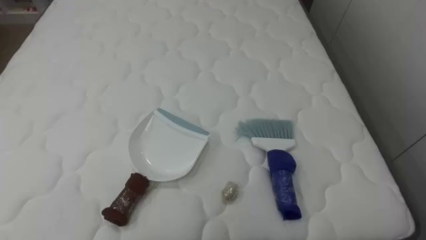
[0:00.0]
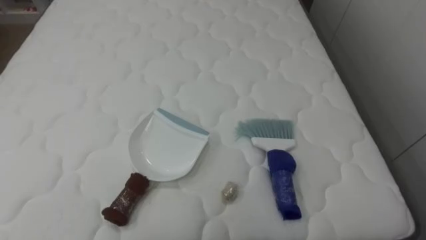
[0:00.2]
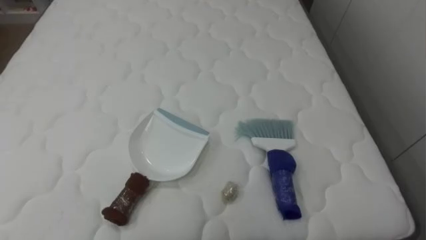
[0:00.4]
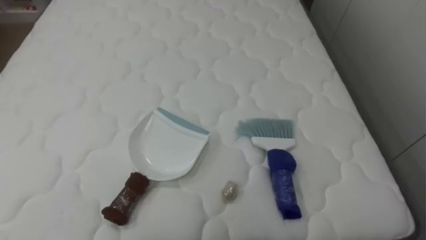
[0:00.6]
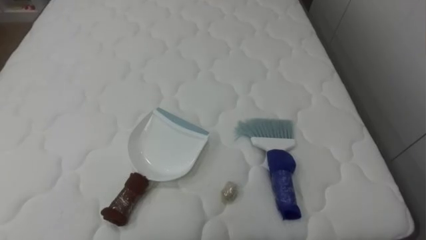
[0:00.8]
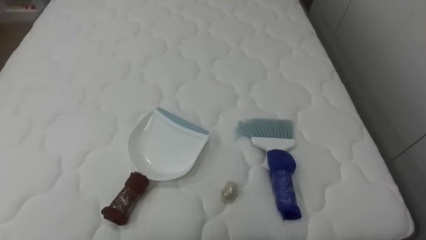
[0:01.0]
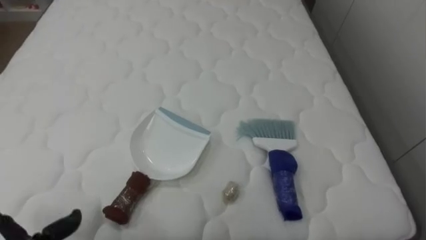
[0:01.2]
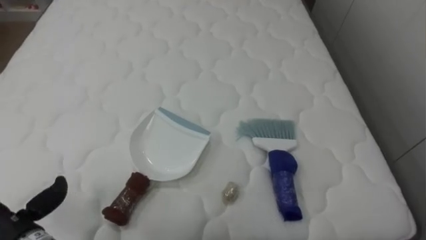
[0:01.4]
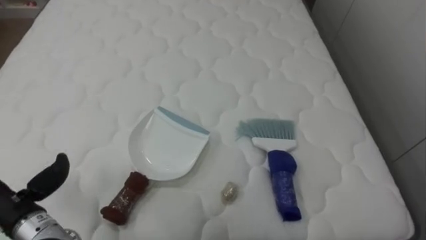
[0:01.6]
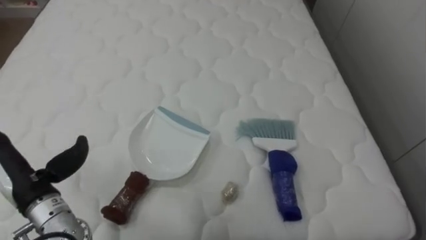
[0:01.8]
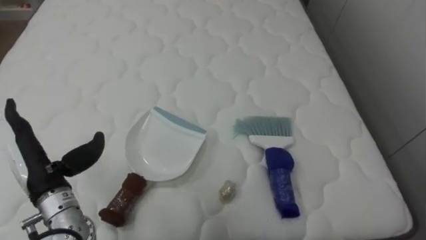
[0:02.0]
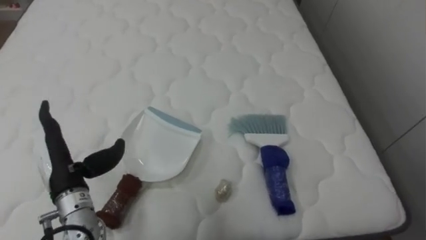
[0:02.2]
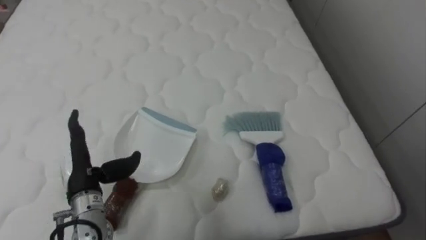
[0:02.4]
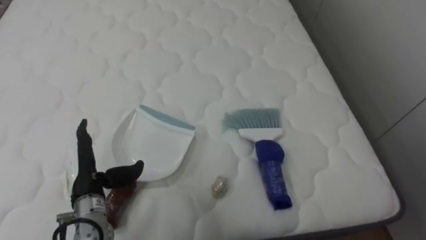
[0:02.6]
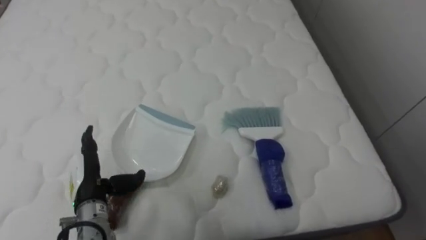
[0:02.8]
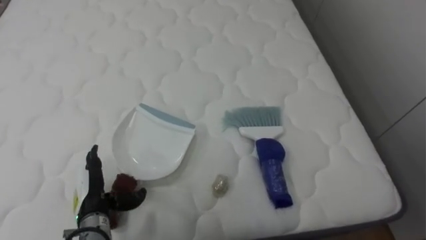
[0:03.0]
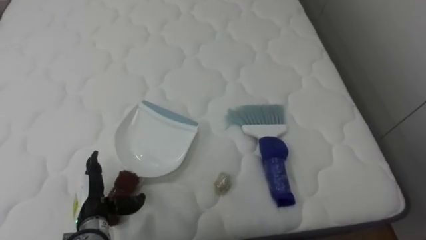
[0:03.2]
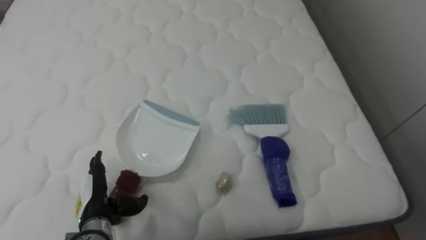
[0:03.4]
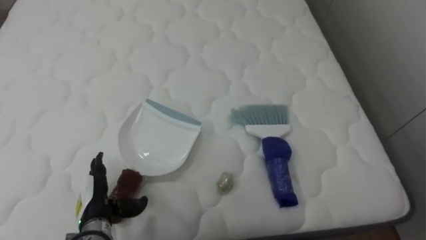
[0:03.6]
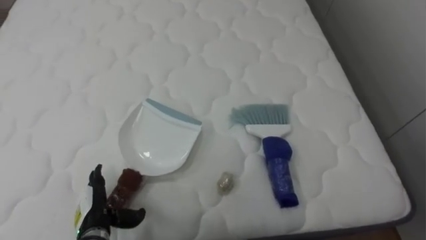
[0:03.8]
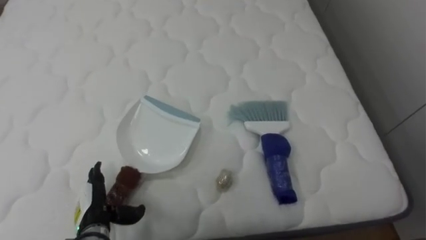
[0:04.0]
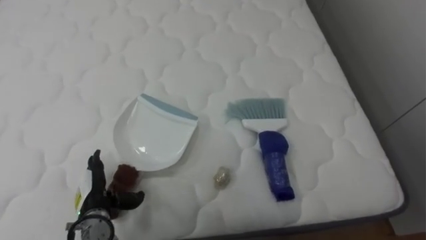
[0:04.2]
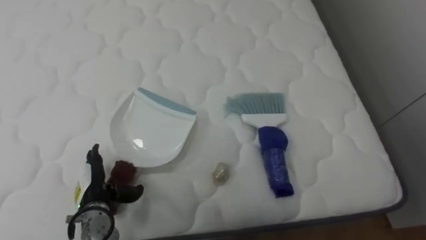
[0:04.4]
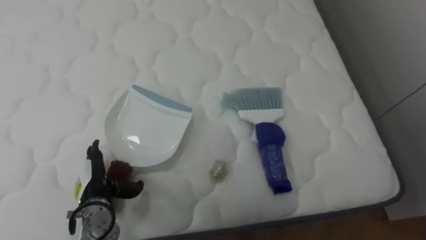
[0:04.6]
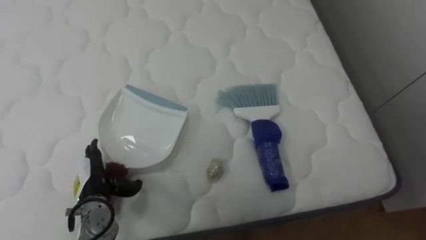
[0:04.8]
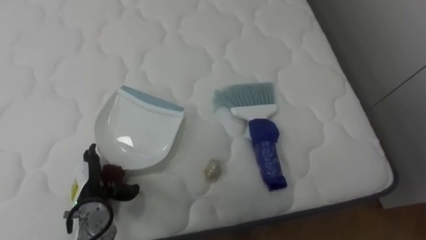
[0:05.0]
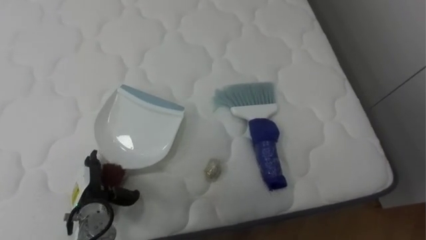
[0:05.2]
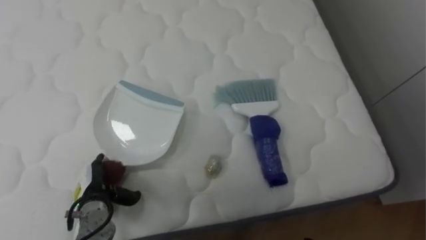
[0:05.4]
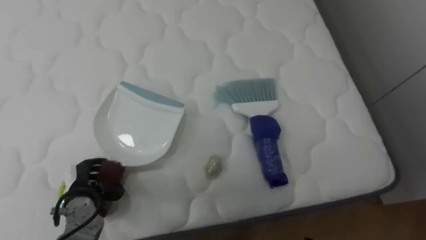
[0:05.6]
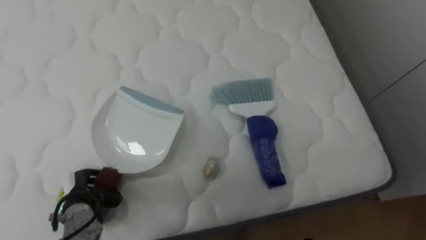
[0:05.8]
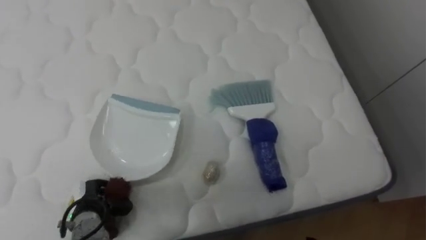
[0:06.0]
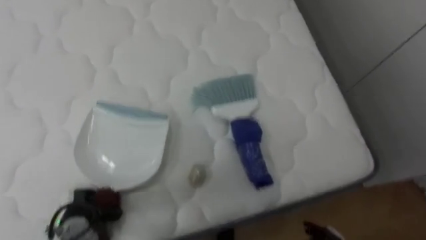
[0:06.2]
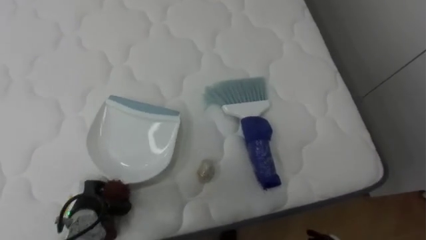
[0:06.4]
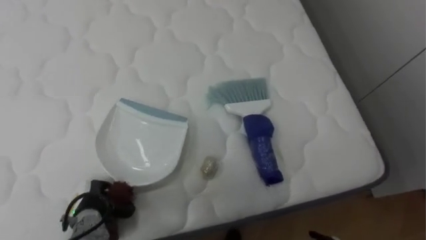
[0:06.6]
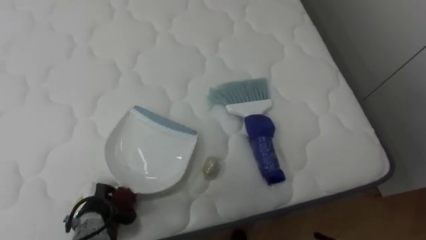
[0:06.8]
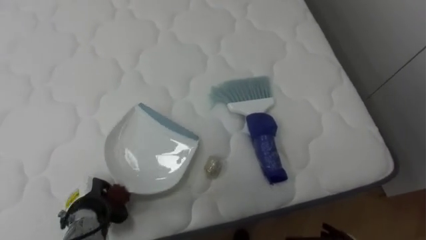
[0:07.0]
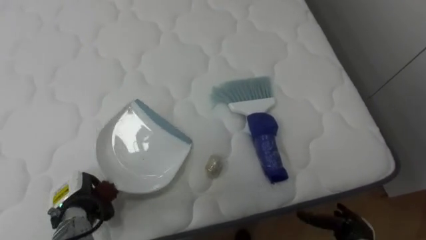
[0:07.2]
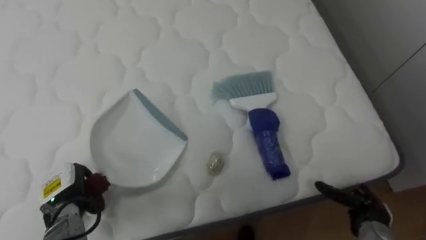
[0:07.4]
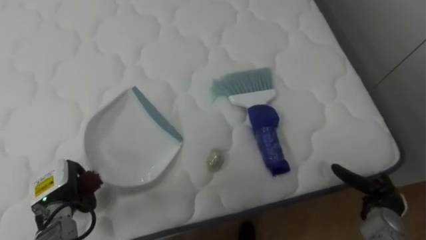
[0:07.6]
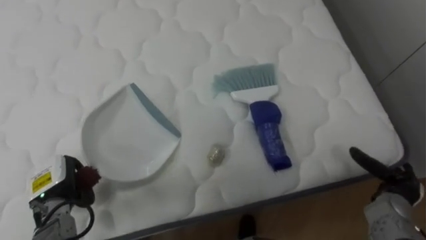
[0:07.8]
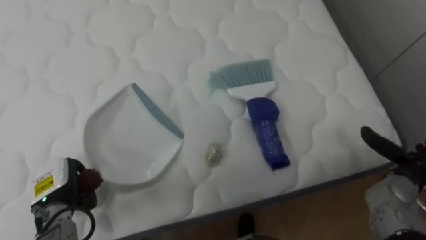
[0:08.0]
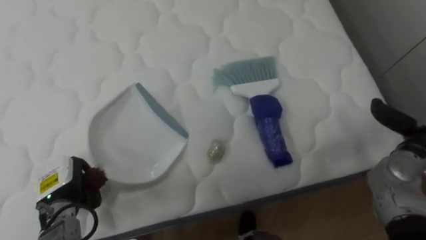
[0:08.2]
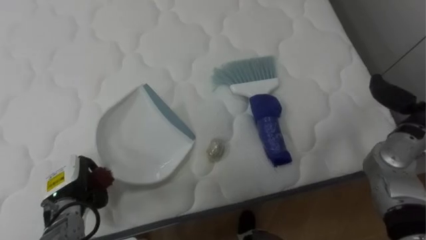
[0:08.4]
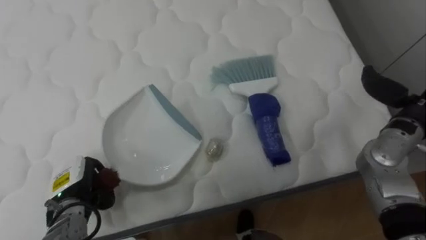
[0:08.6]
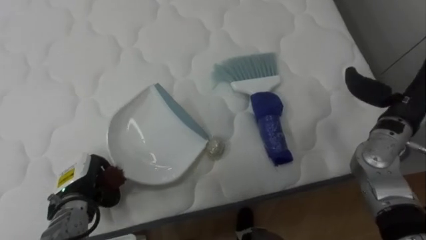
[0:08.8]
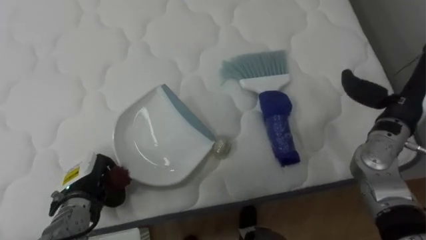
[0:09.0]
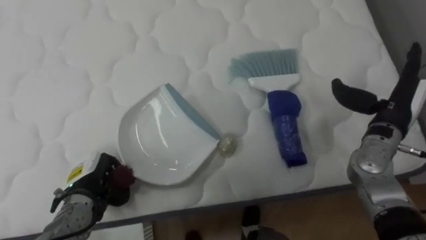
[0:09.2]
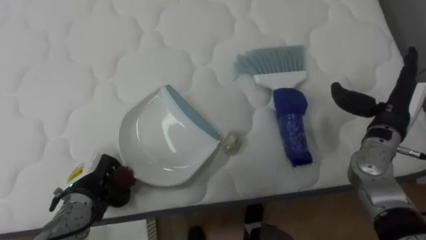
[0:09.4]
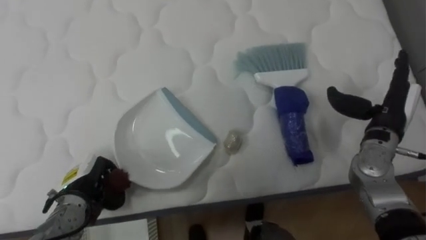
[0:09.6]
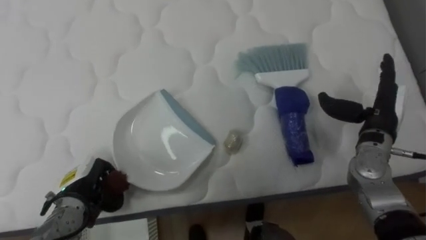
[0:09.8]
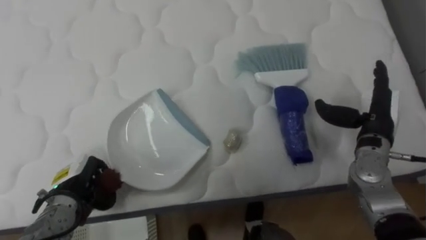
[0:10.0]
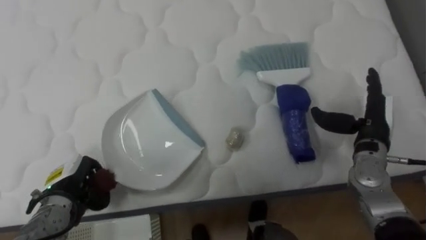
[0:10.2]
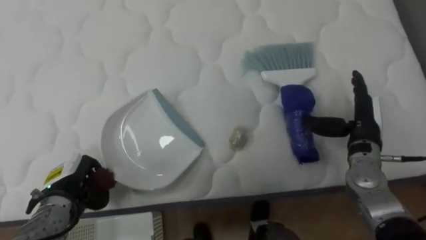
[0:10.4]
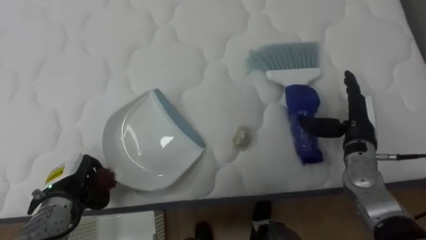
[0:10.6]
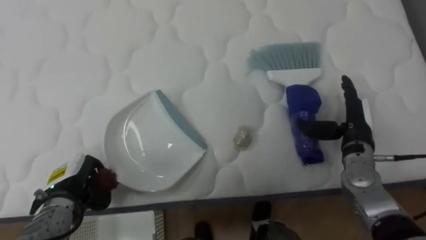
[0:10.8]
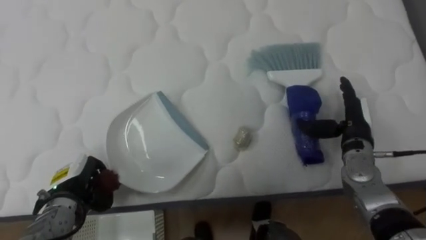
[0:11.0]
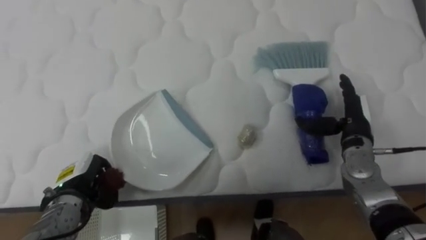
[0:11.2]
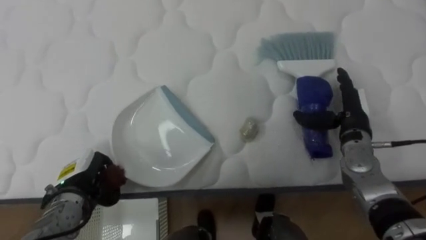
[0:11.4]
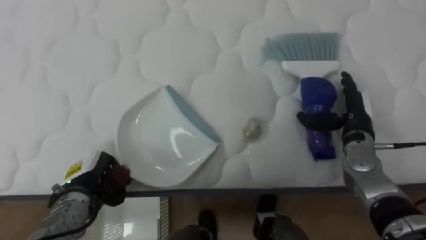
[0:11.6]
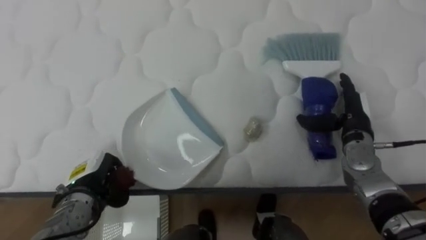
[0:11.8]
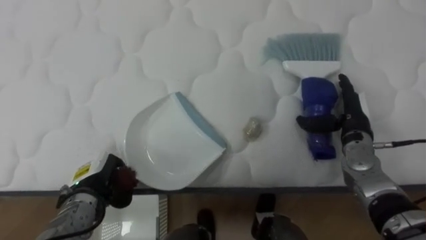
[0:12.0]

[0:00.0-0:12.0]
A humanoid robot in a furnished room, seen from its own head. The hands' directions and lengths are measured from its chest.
Task of the whole recording: Pick up the brush on your right and the dustpan on your left. Use the brush to sweep the crumpled paper on the bed into the dustpan, then turn left and empty it into the basket.
0:01.6 to 0:03.0: The left hand moves to the right and downward, some 15 cm.
0:04.4 to 0:06.0: The left hand closes.
0:06.0 to 0:07.6: The left hand is displaced upward by roughly 5 cm.
0:07.6 to 0:09.0: The right hand heads upward and forward, covering approximately 25 cm.
0:09.0 to 0:10.4: The right hand moves downward, approximately 5 cm.
0:10.4 to 0:12.0: The left hand ends up approximately 5 cm from where it was.

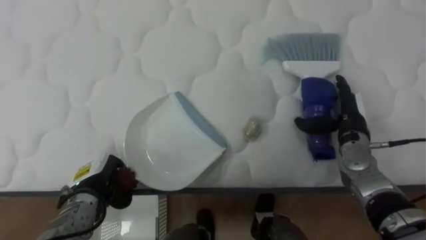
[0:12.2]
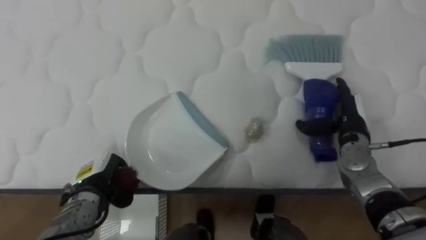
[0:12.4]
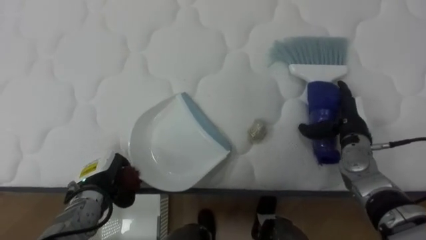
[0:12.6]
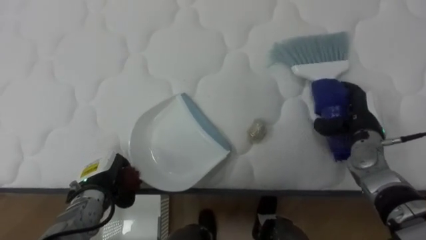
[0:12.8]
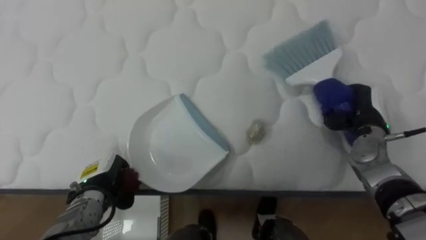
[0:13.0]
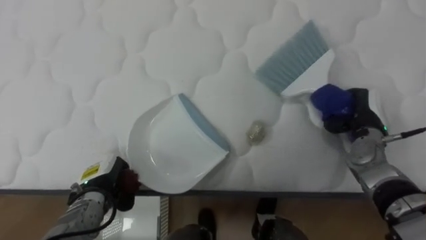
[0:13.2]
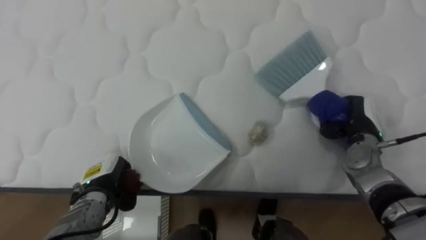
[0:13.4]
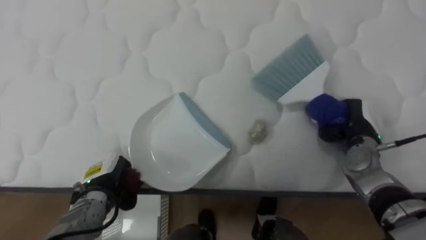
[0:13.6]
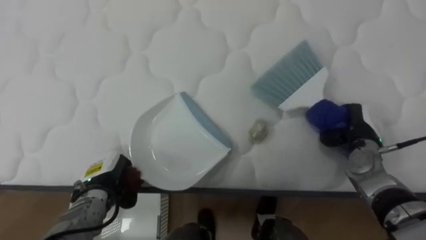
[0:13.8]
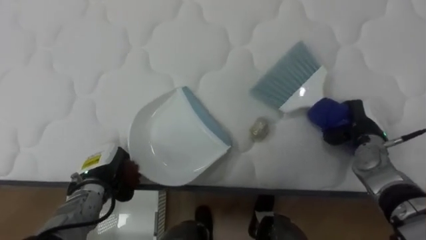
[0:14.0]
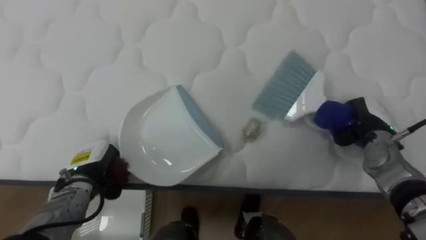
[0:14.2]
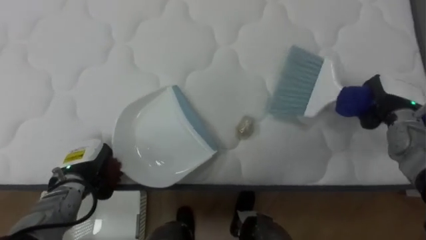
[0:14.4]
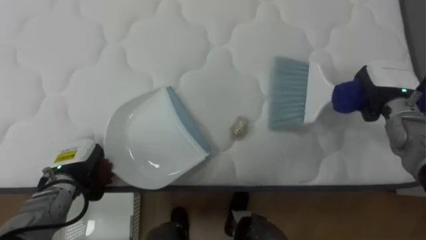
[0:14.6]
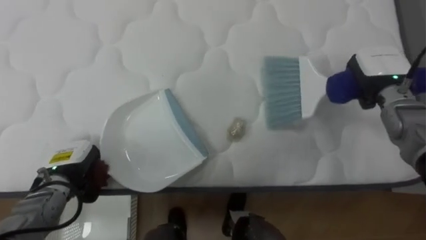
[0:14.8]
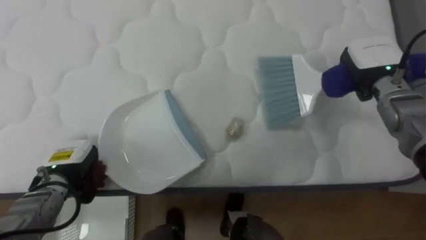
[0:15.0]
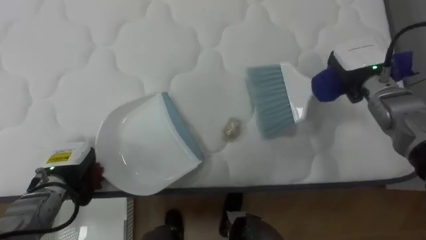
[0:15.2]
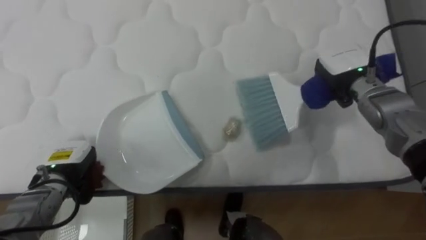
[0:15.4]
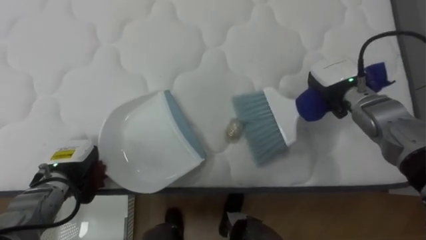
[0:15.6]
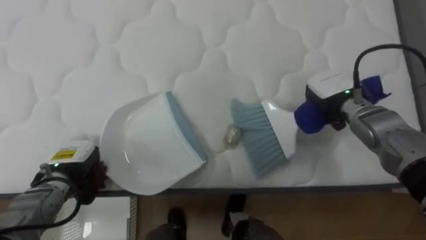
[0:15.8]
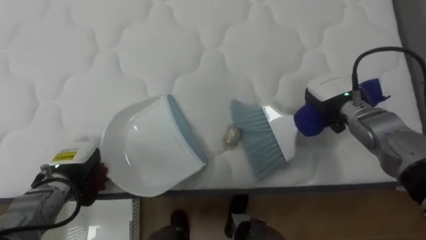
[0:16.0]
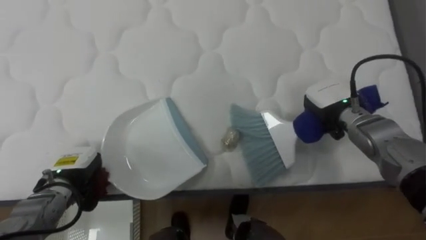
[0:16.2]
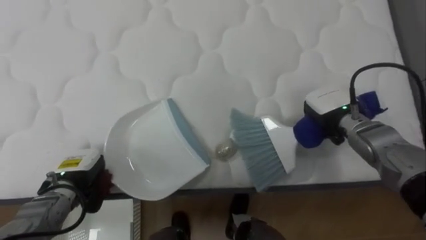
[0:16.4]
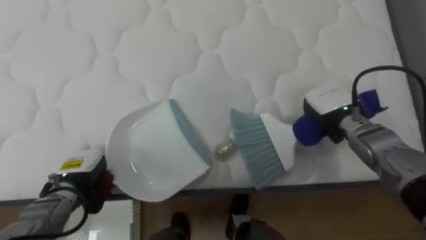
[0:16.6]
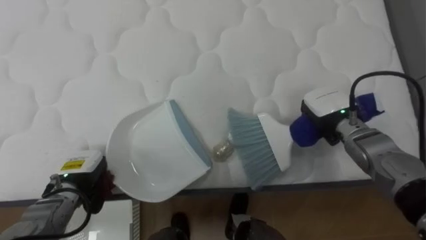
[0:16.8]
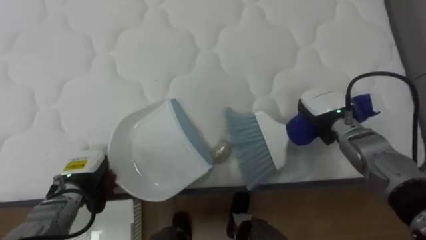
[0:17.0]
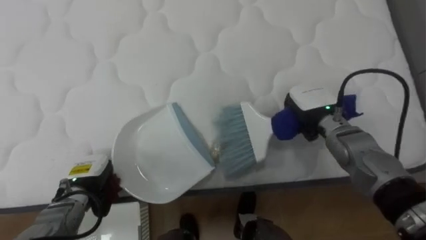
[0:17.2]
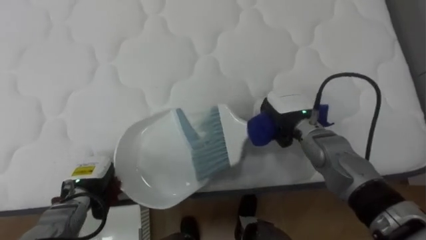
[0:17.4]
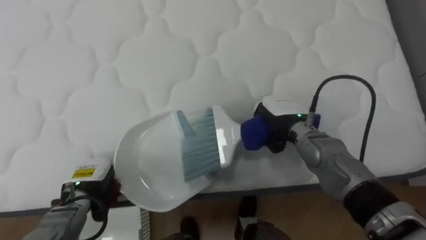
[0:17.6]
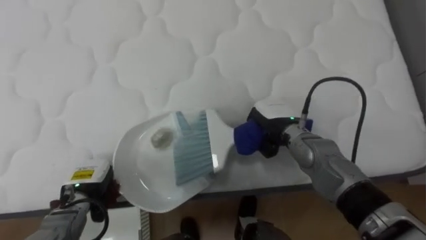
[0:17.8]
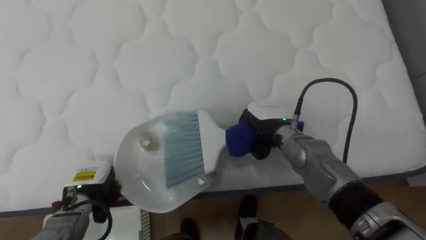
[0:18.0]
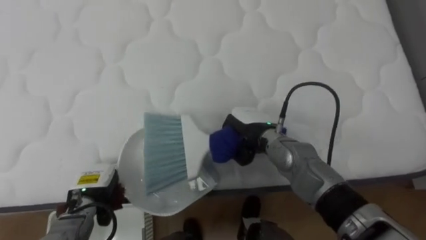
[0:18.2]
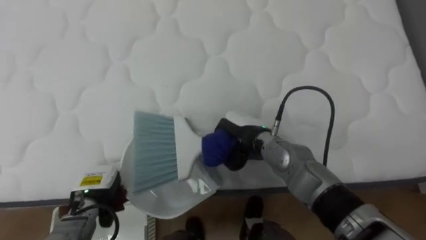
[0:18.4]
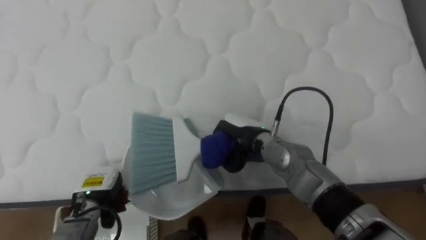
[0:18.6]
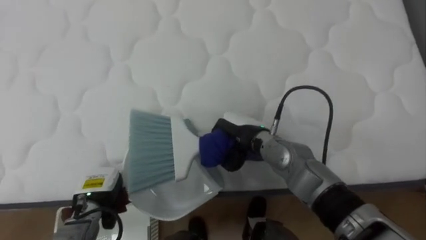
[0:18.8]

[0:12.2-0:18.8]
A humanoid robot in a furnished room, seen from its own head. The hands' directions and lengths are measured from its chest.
Task of the whole recording: Pick up the brush on your right and the dustpan on your left. Use the brush to sweep the crumpled paper on the bed into the dustpan, then turn left and empty it into the basket.
0:12.2 to 0:13.8: The right hand closes up.
0:13.8 to 0:15.4: The right hand heads upward, forward and to the left, covering roughly 15 cm, while the left hand heads to the left, covering some 5 cm.
0:15.4 to 0:17.2: The right hand shifts roughly 10 cm downward and to the left. The left hand ends up roughly 5 cm from where it was.
0:17.2 to 0:18.8: The right hand is displaced to the left by some 15 cm.
